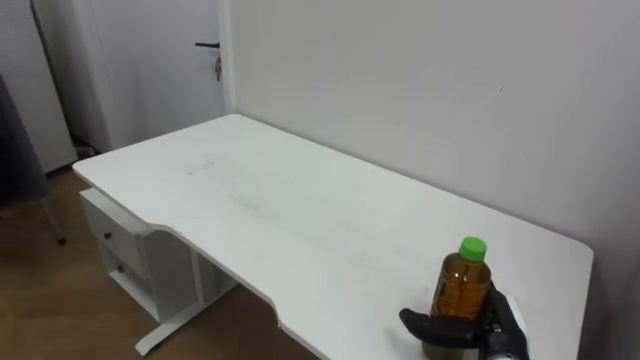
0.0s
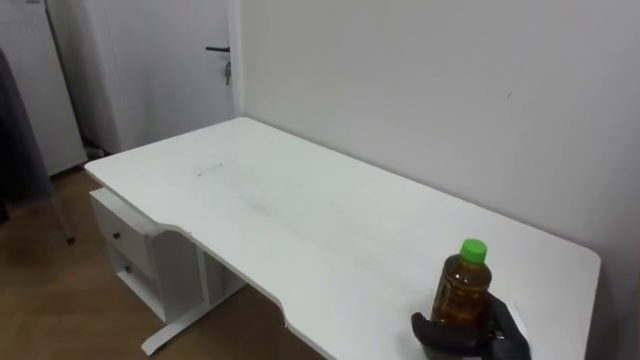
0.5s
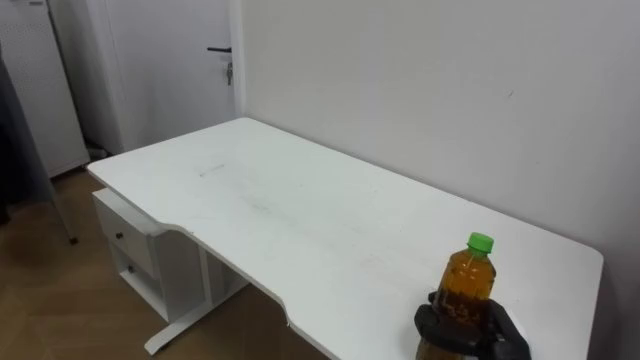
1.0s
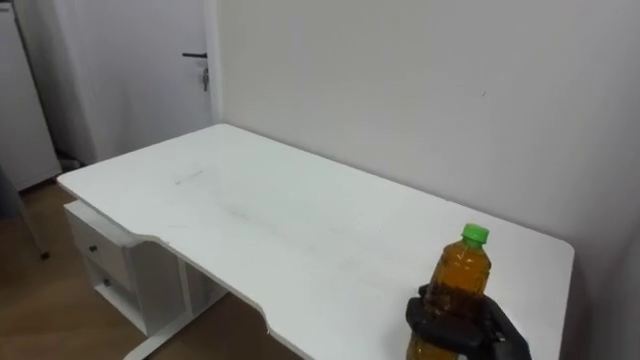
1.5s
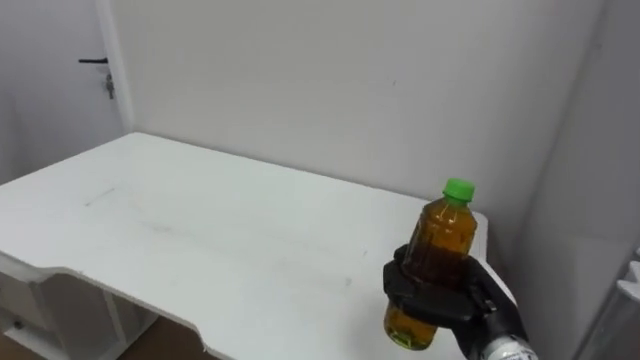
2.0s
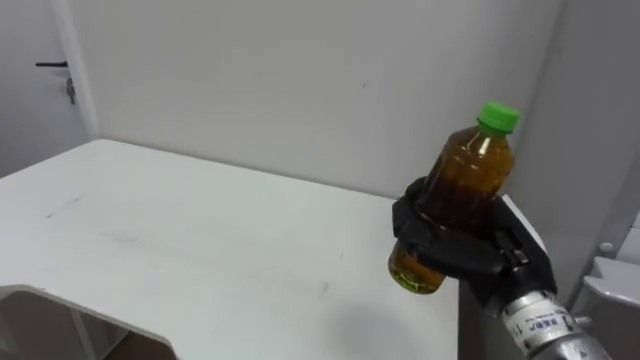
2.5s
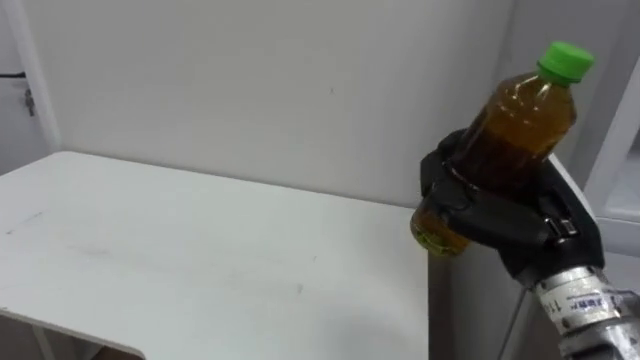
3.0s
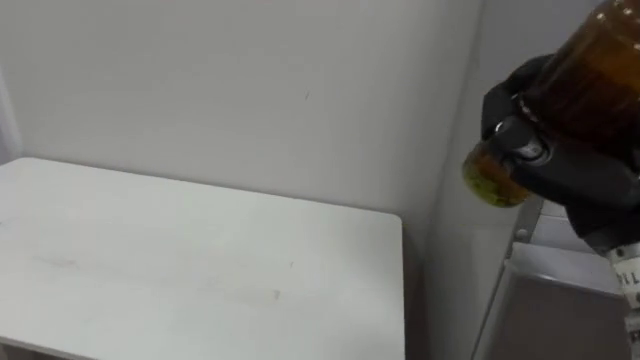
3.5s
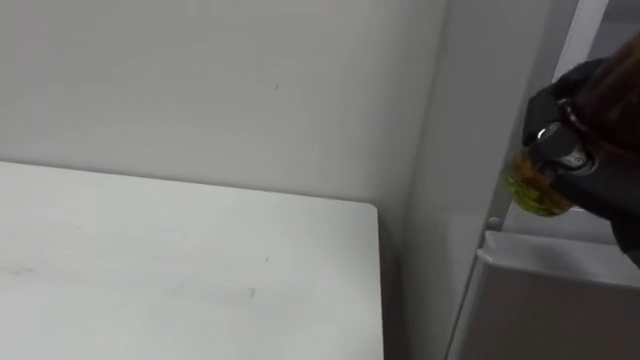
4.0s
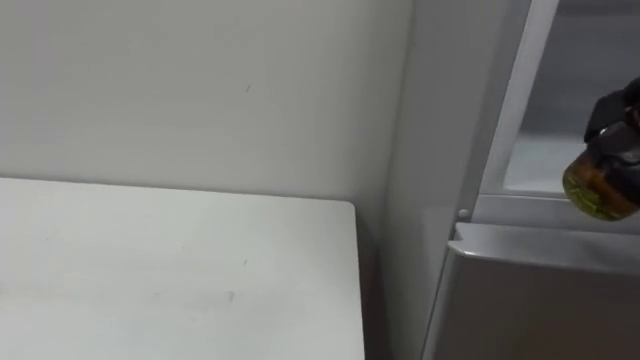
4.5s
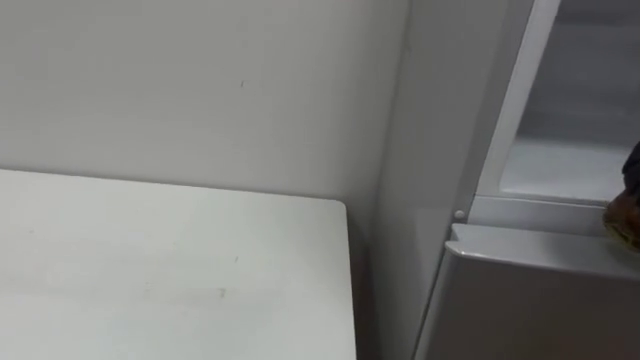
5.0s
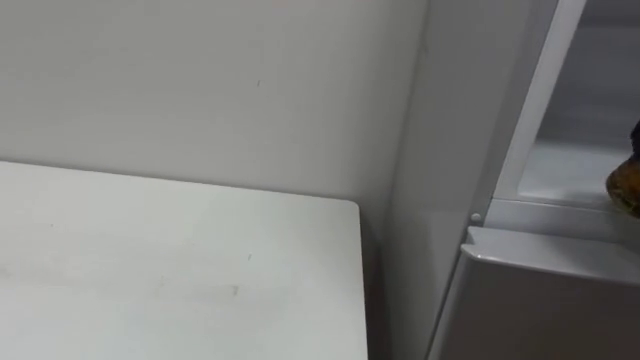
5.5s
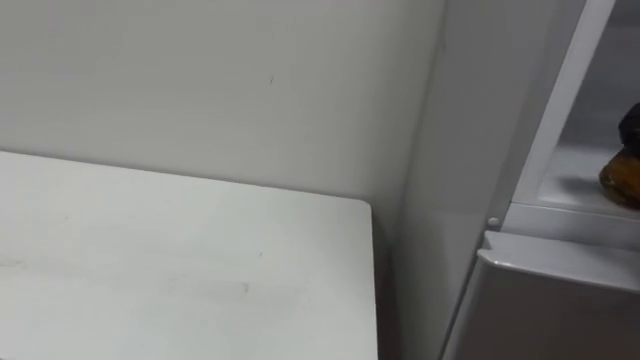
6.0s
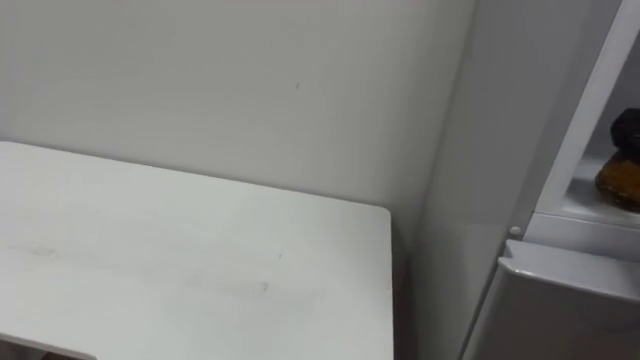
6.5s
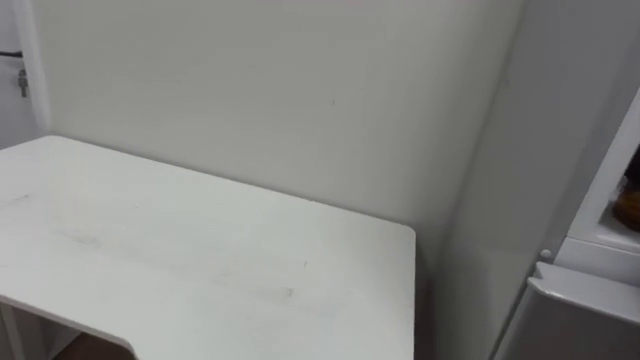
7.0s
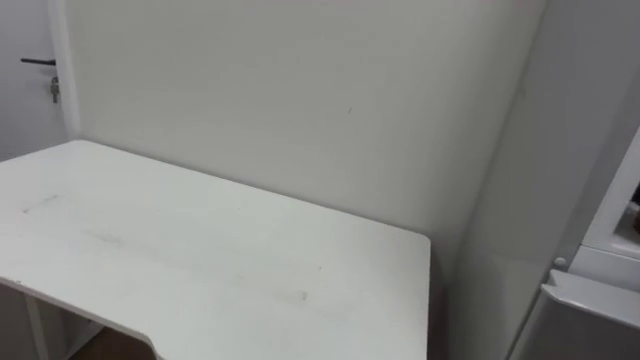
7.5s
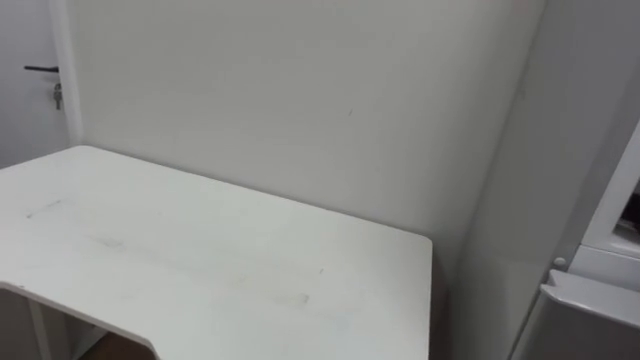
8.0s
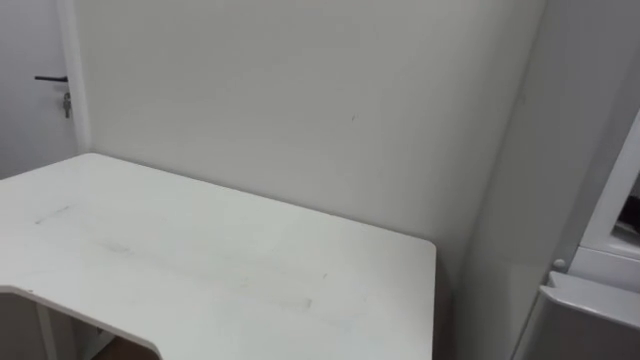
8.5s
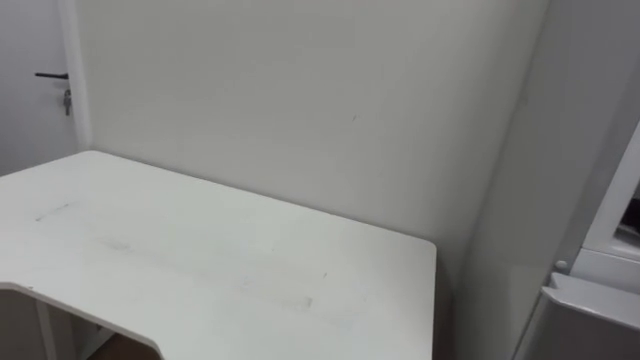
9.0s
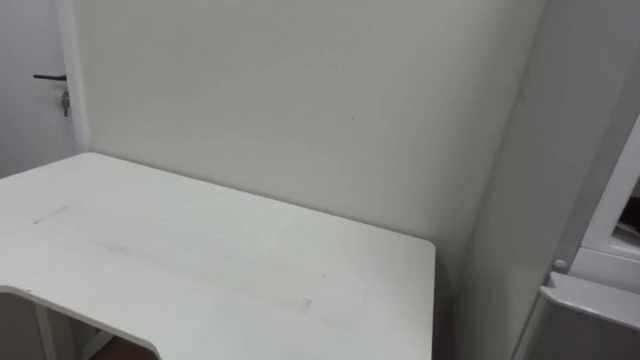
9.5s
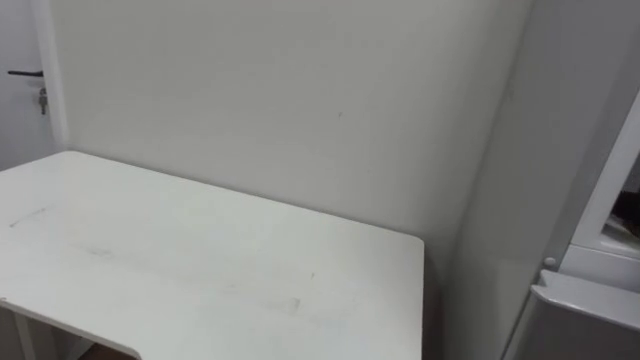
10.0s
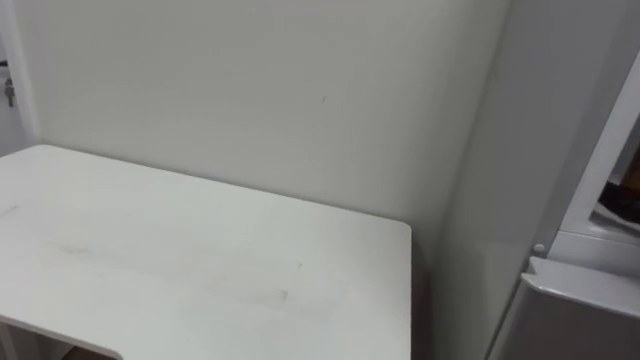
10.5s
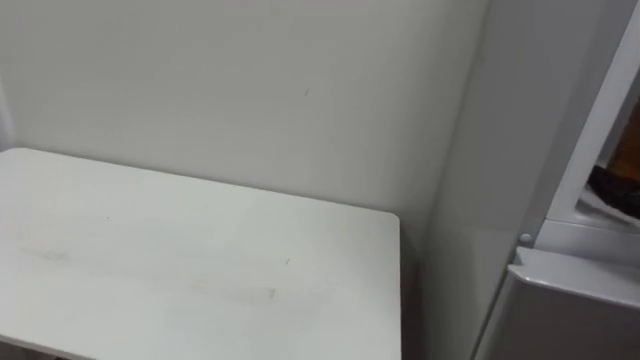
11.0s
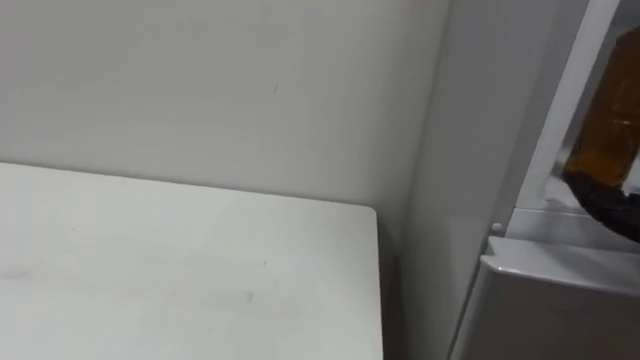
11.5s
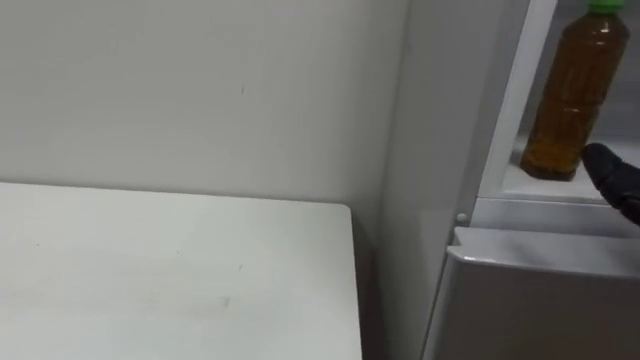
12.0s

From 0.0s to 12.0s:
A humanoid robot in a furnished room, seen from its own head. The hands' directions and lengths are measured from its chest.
Task of the whole recording: Open the upper refrigerator door, put the drink from the table into the refrigerator, and then close the refrigerator door.
From 0.0s to 2.0s: The right hand travels upward by approximately 5 cm, and closes up.

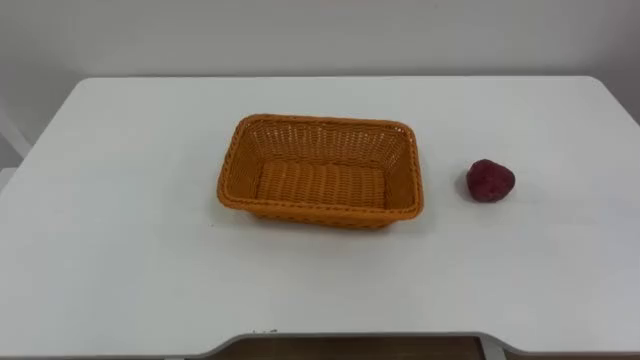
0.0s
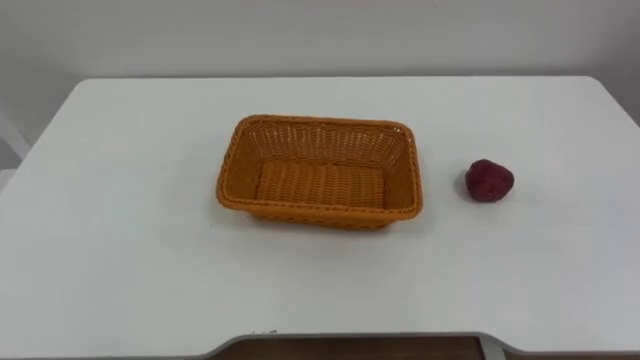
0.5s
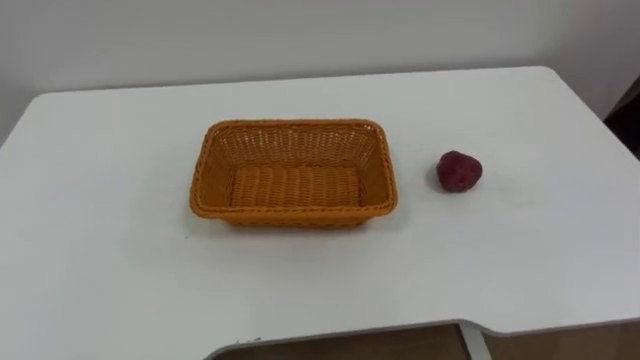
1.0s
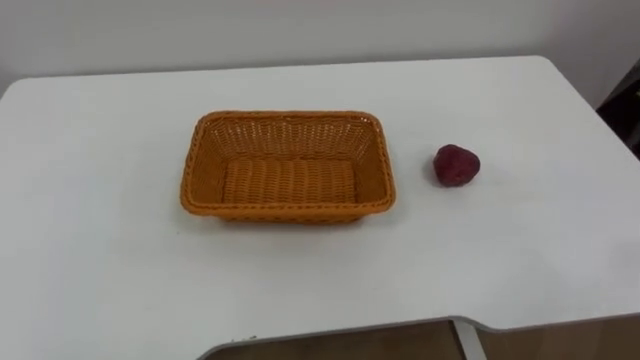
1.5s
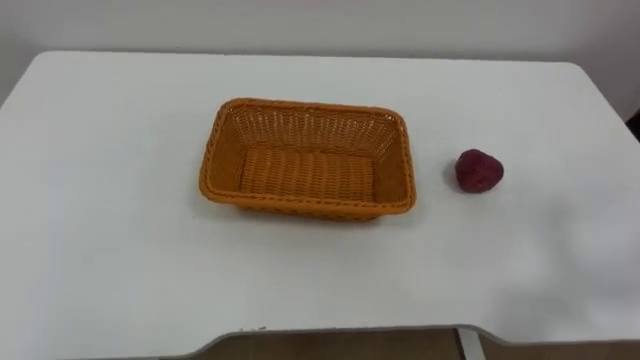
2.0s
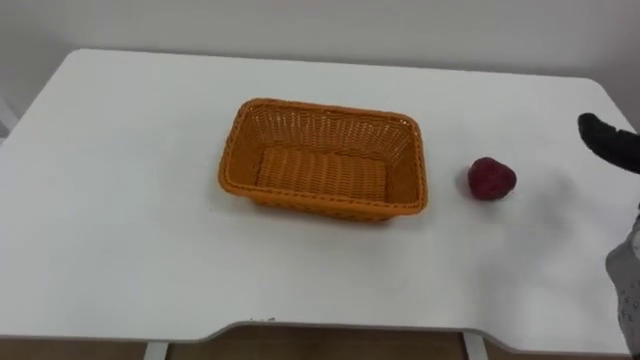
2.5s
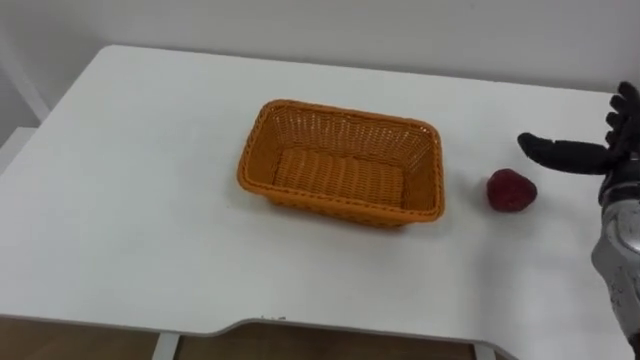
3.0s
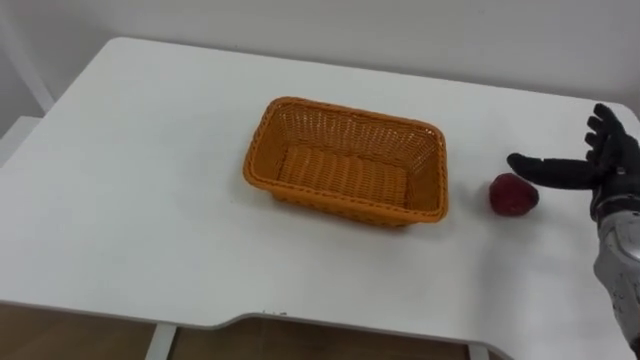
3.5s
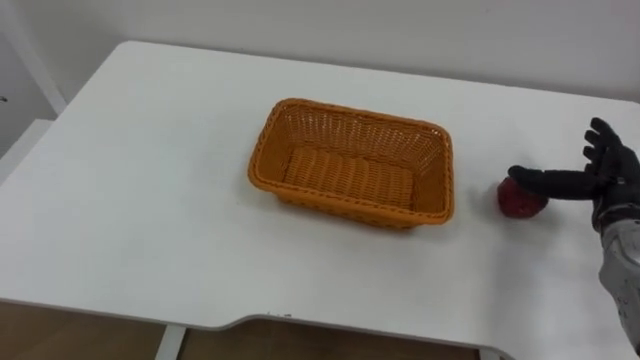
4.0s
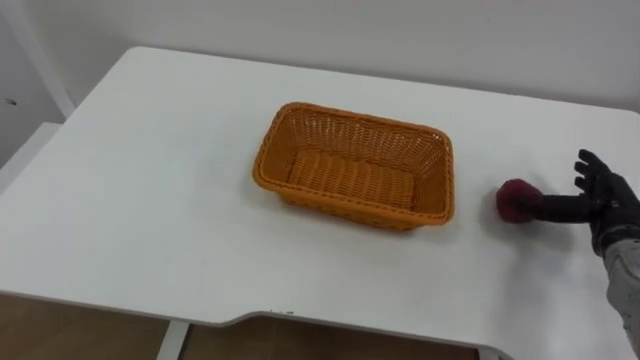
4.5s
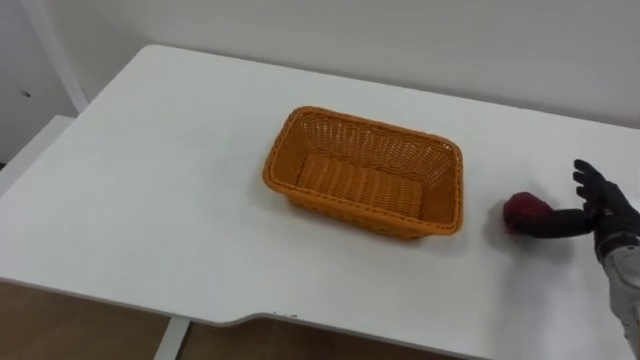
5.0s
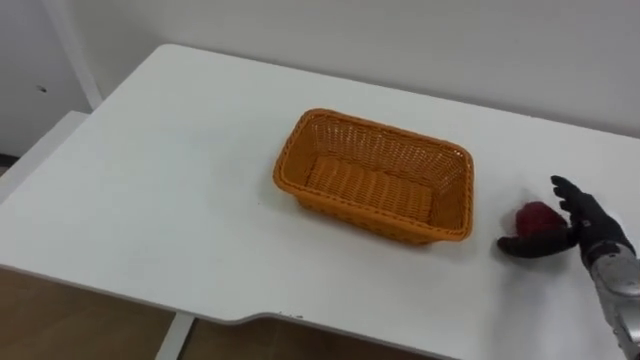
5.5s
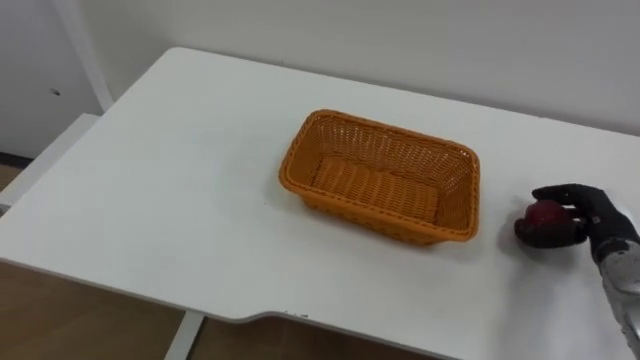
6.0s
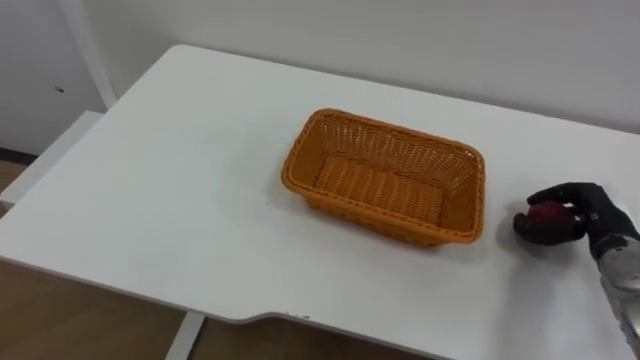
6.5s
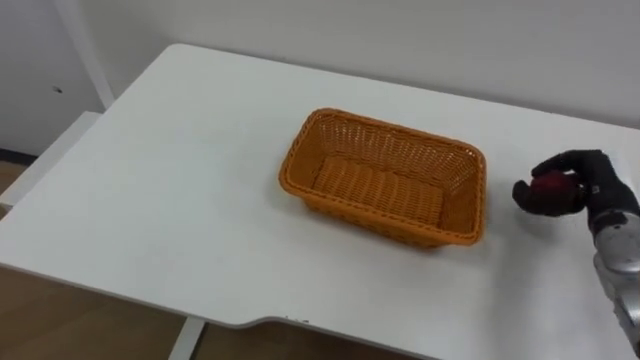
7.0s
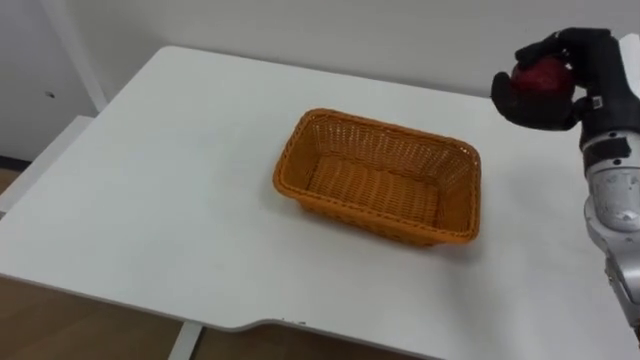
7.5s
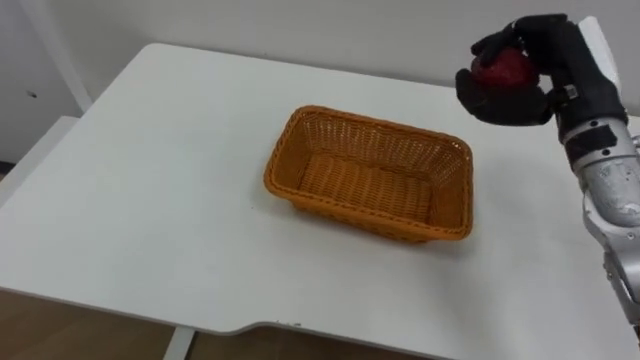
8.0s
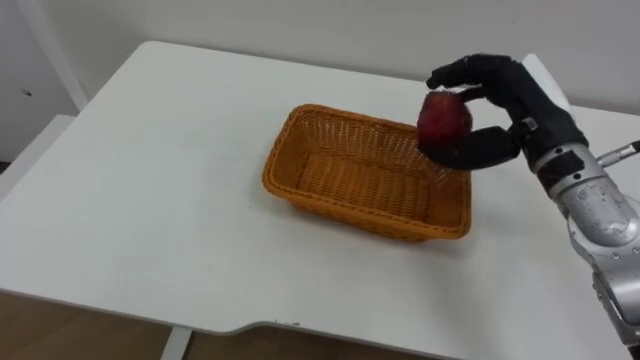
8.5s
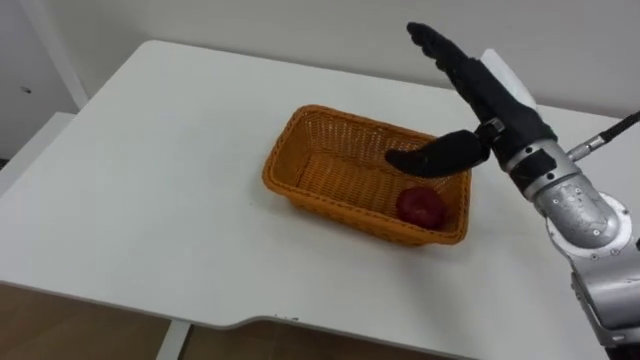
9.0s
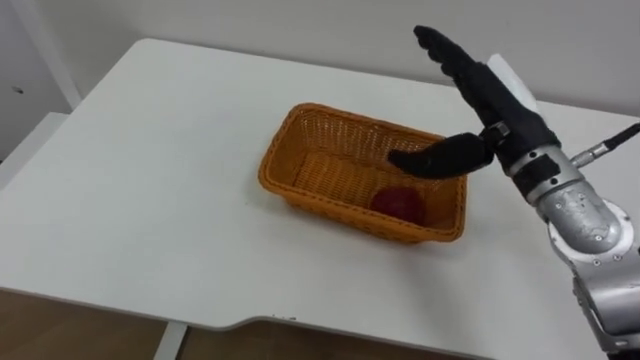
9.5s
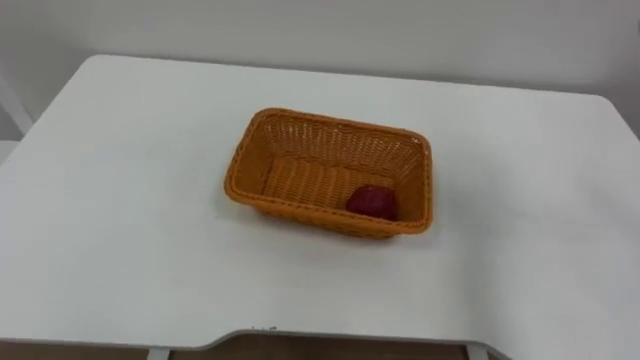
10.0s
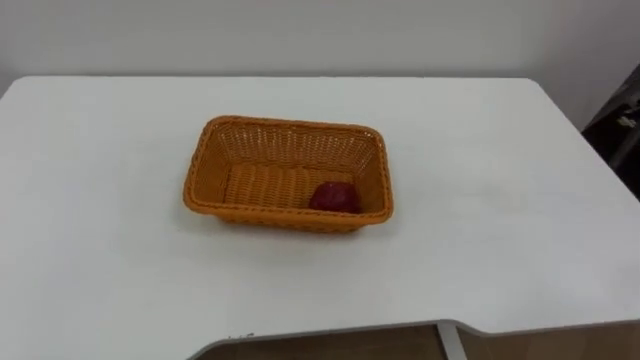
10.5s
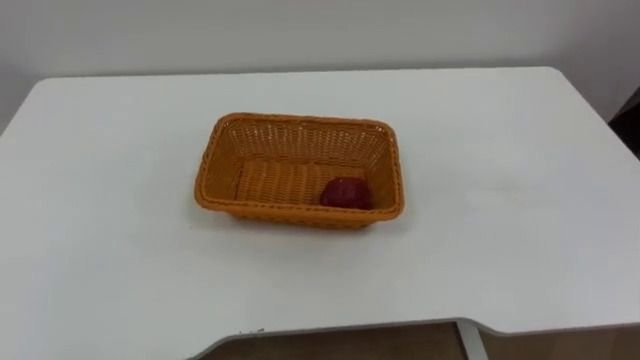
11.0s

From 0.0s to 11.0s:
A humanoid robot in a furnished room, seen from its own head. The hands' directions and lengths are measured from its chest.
Task of the whole recording: Pick the apple and place it in the box.
From 3.5s to 5.5s: The right hand goes some 10 cm downward.
From 5.5s to 7.5s: The right hand moves upward, about 20 cm, and closes.
From 7.5s to 9.0s: The right hand travels to the left by roughly 10 cm, and opens up.
